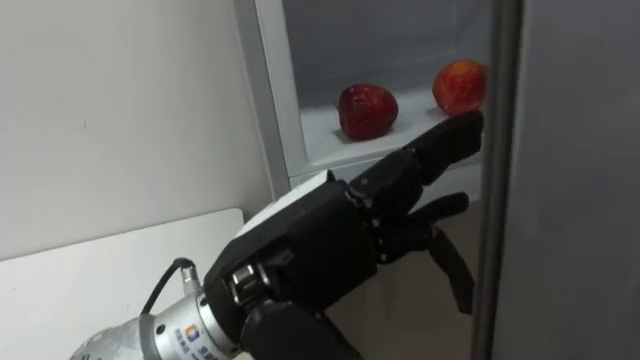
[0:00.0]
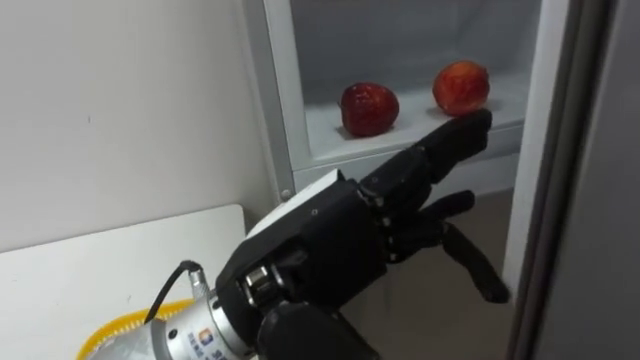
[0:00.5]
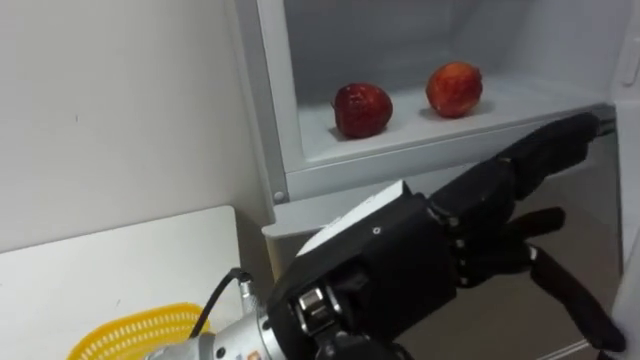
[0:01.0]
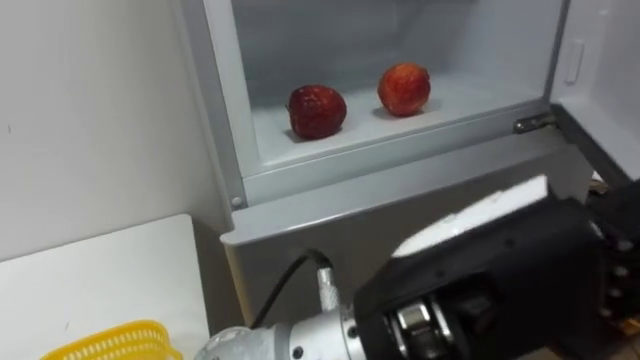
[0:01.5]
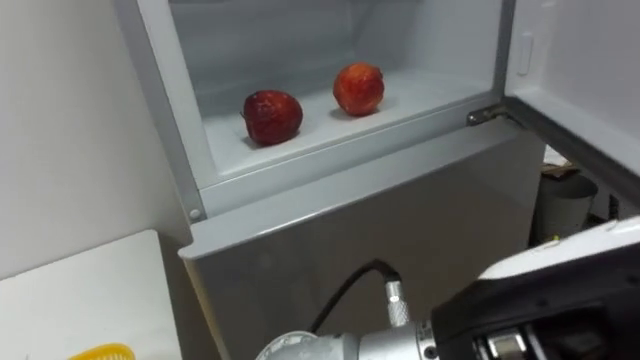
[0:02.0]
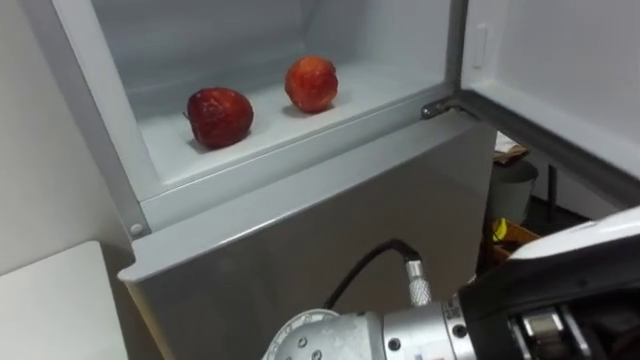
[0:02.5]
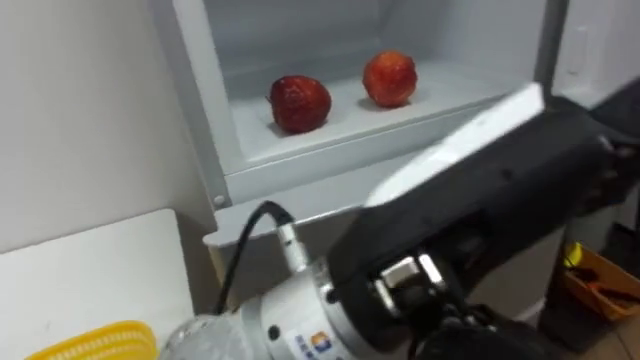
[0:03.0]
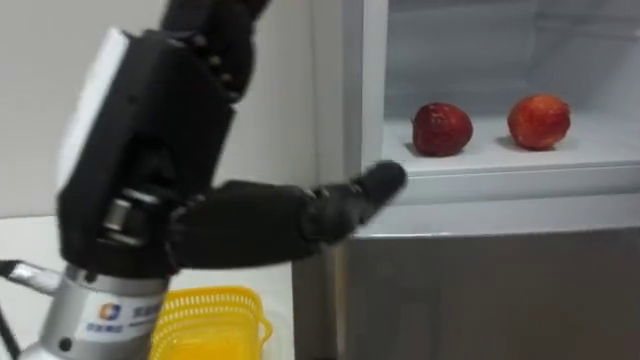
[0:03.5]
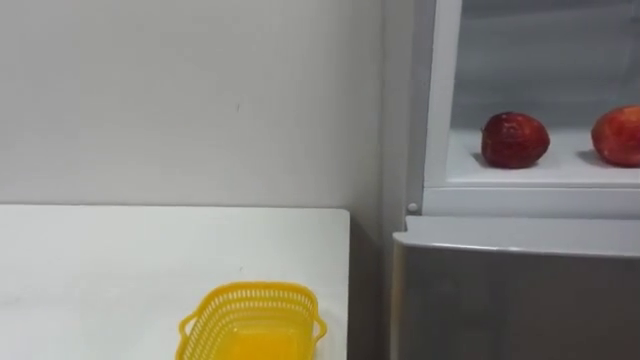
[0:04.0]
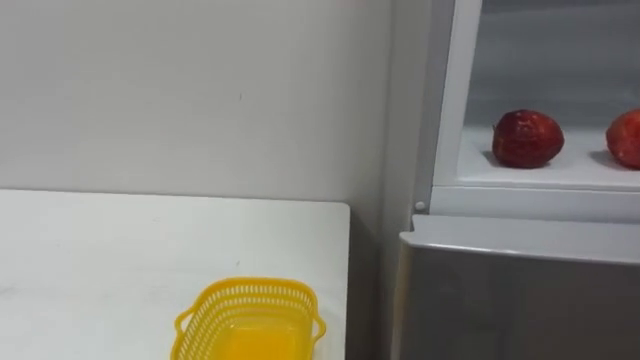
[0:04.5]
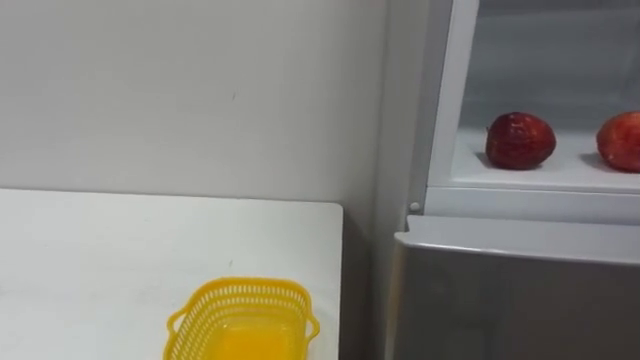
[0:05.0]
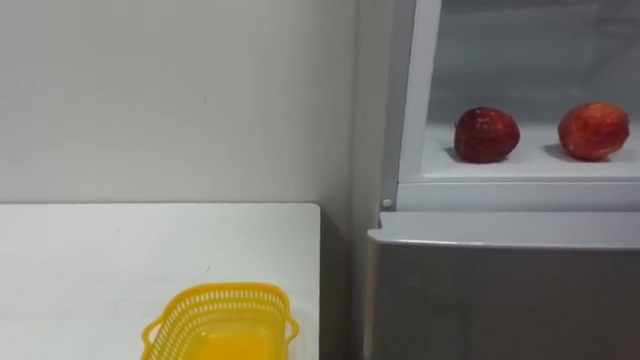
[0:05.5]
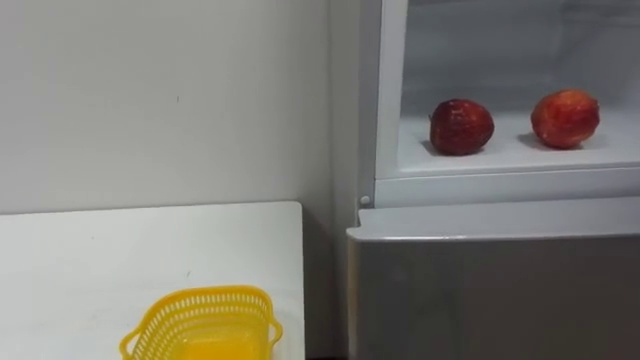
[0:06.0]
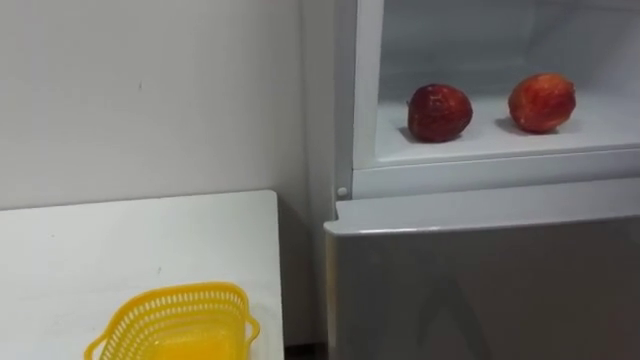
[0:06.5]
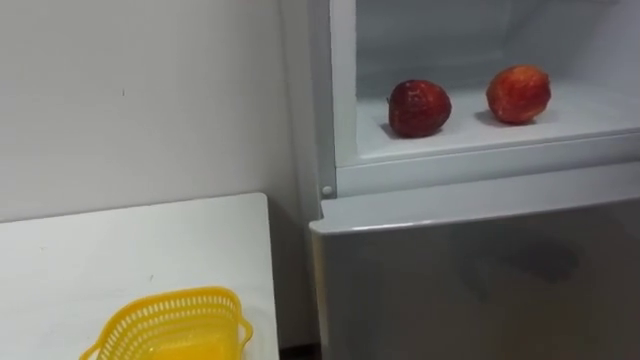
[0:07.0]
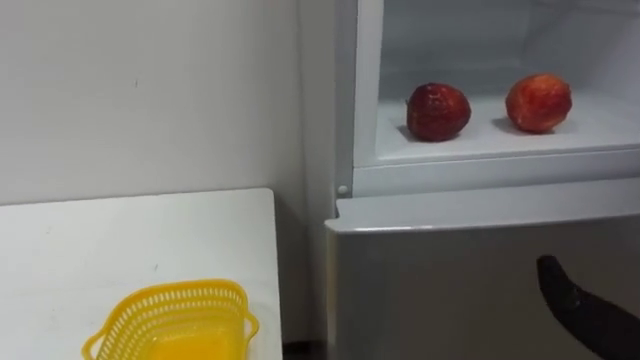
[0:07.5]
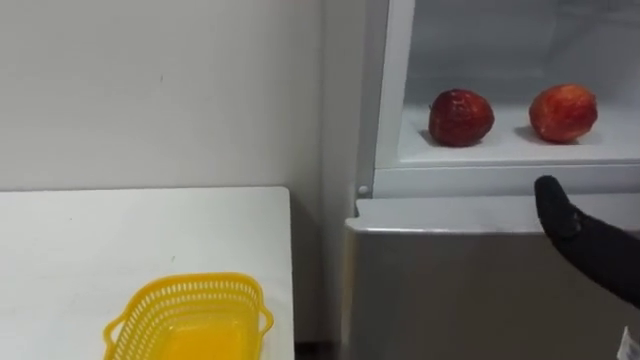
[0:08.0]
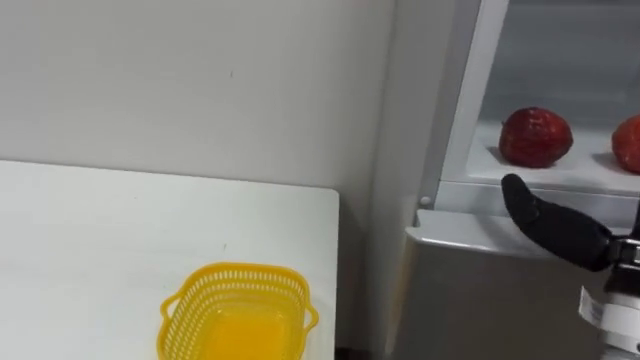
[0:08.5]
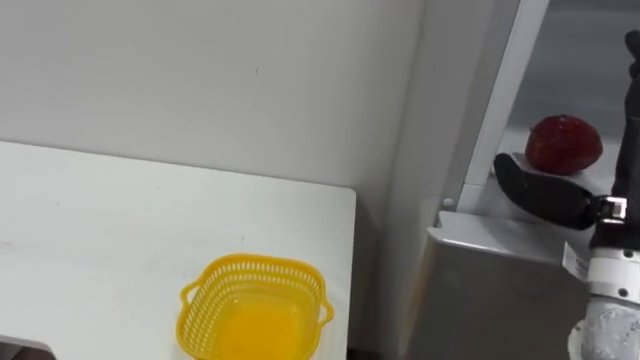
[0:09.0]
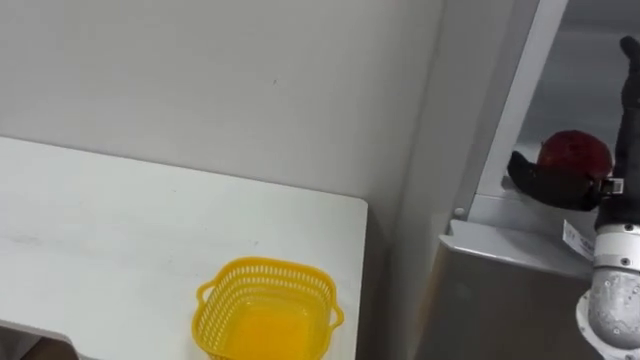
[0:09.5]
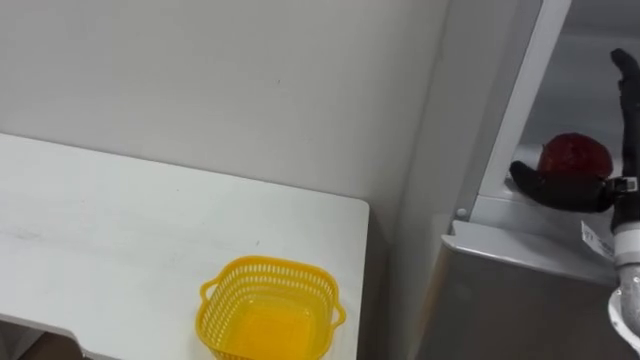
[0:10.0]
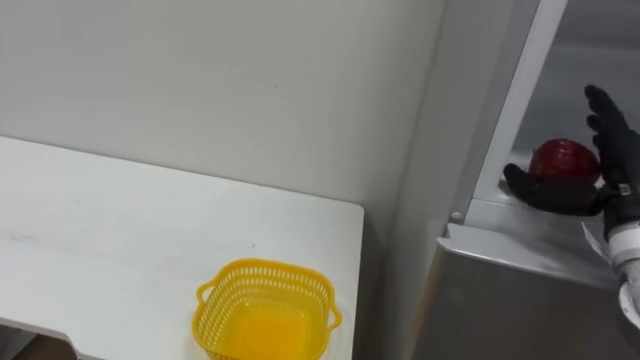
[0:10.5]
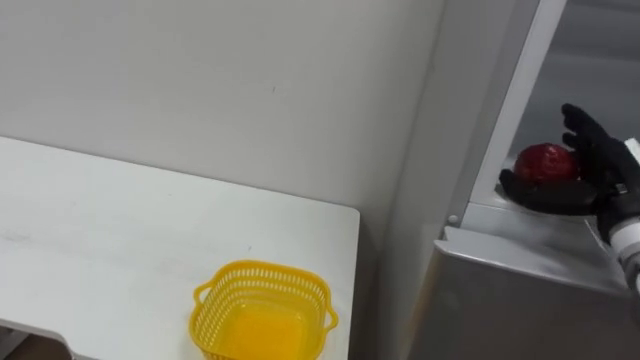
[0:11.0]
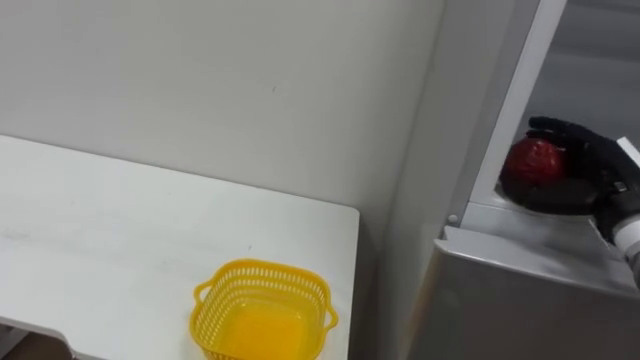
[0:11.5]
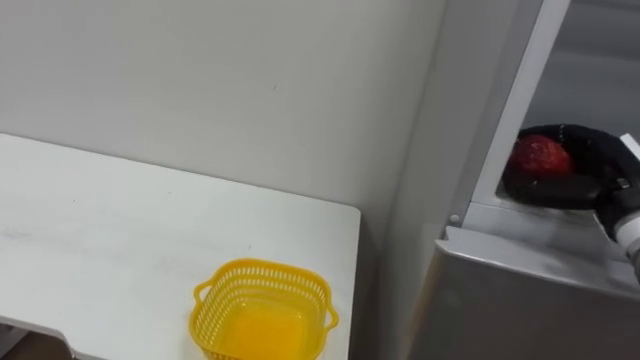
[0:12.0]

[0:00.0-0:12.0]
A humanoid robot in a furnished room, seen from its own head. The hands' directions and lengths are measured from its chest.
Task of the whole recording: Open the refrigerator door, take out the apple and the pomegranate, place them in the fruit basket on the left, and close the refrigerator door.
0:00.0 to 0:02.0: The left hand shifts approximately 15 cm to the right and backward.
0:10.0 to 0:12.0: The right hand shifts by approximately 5 cm, and closes.

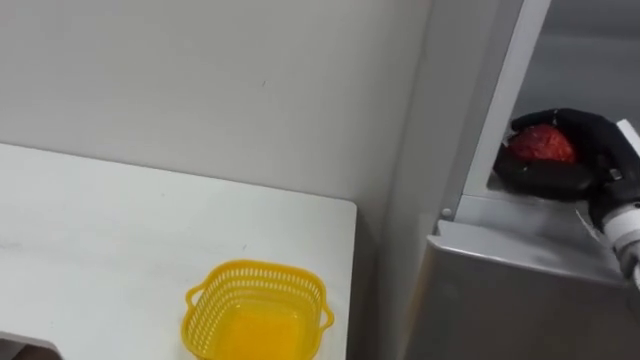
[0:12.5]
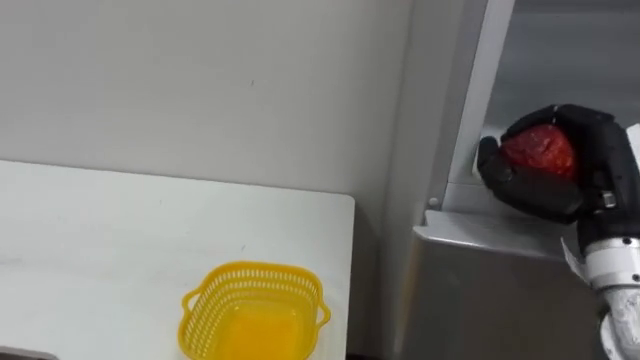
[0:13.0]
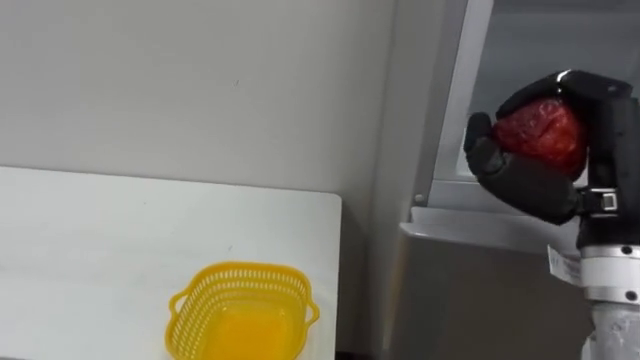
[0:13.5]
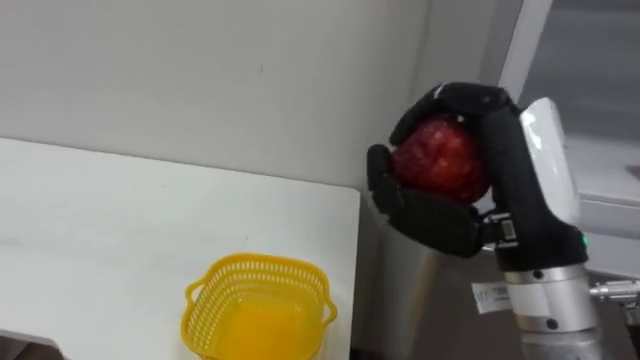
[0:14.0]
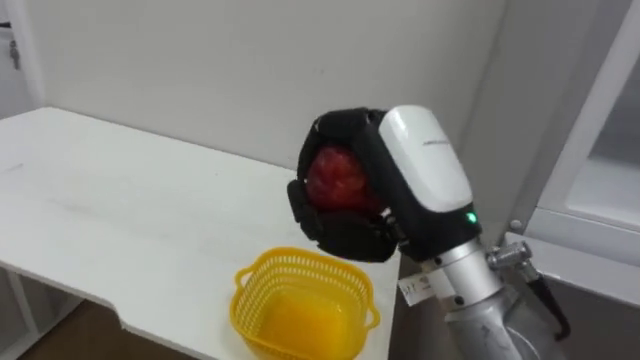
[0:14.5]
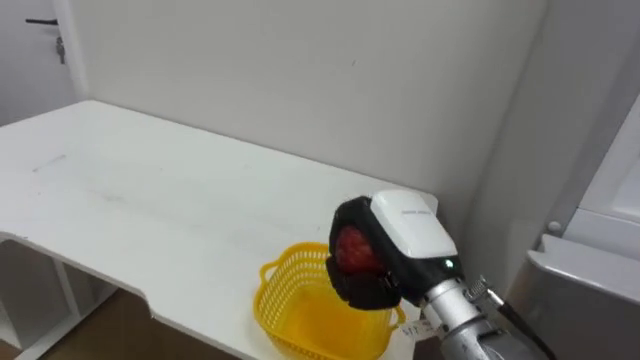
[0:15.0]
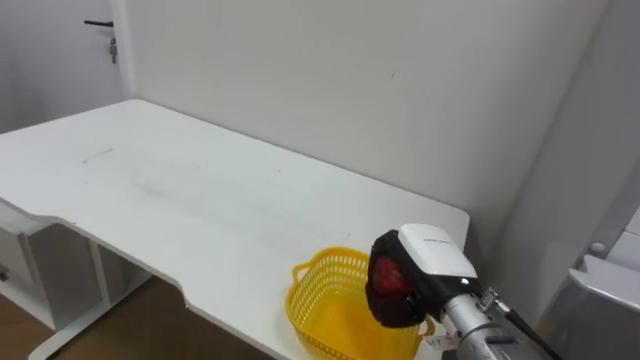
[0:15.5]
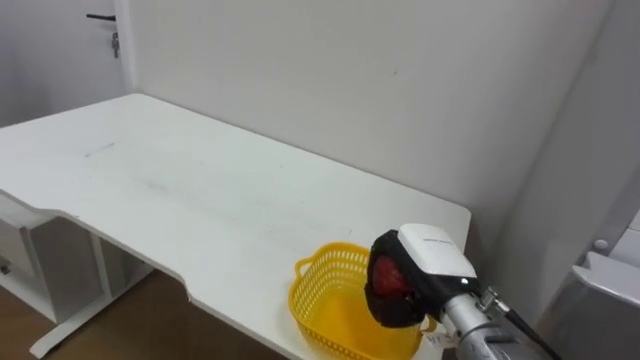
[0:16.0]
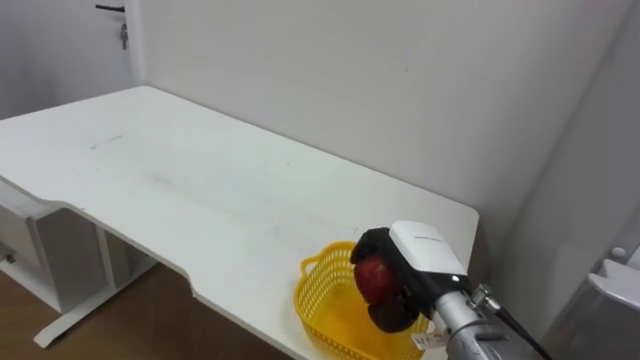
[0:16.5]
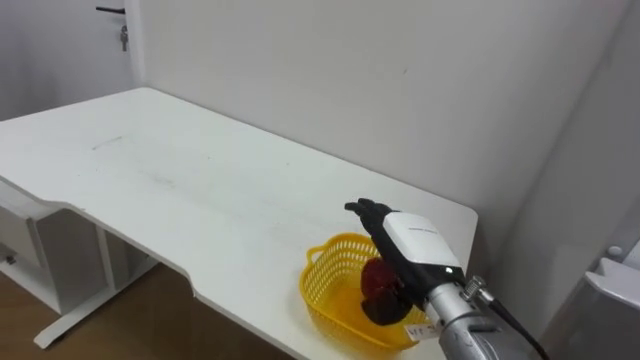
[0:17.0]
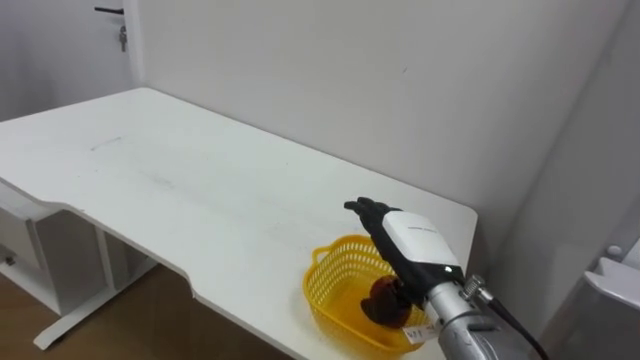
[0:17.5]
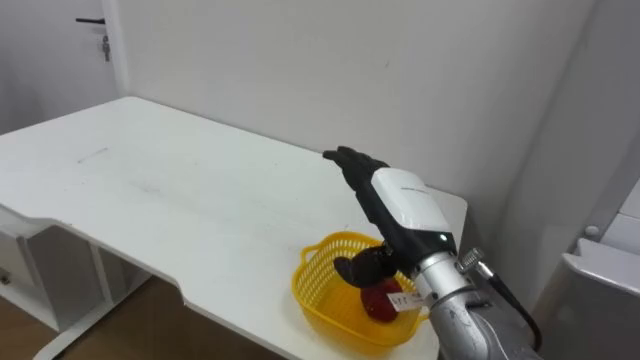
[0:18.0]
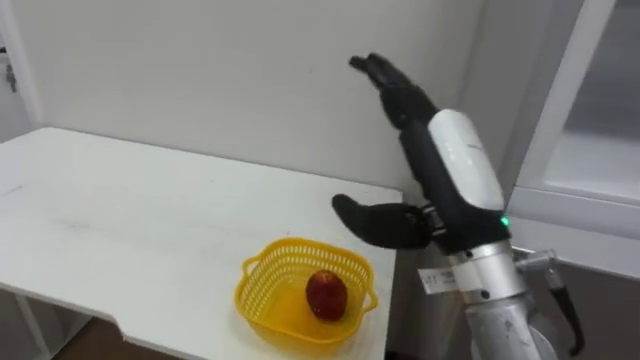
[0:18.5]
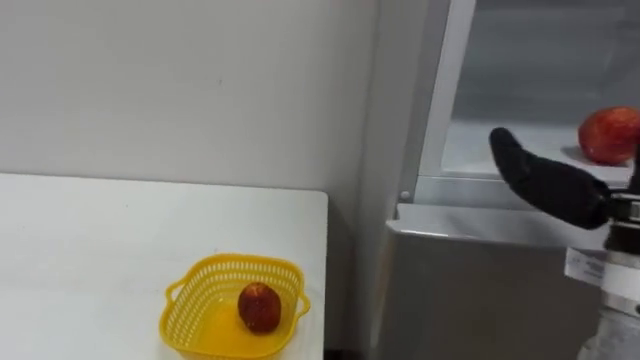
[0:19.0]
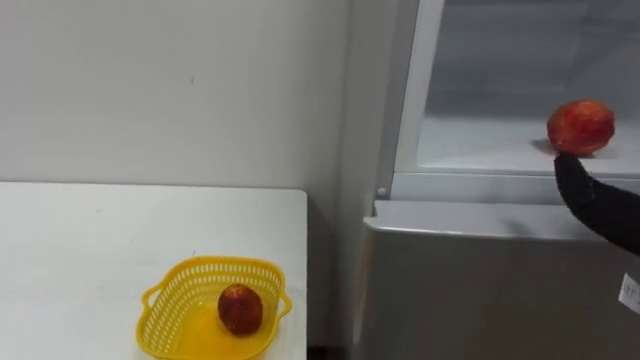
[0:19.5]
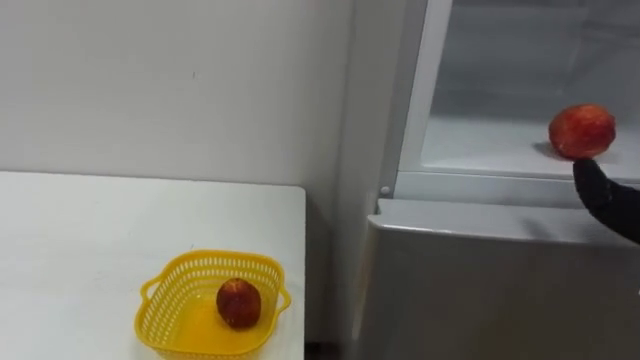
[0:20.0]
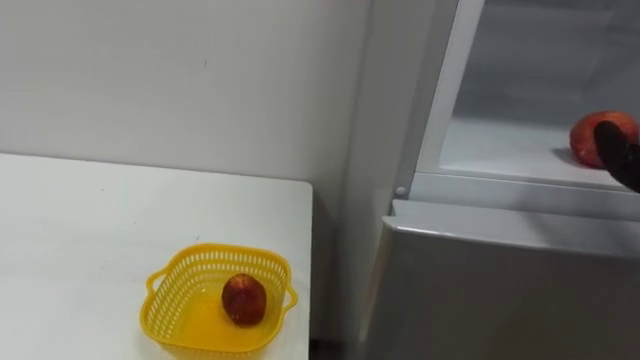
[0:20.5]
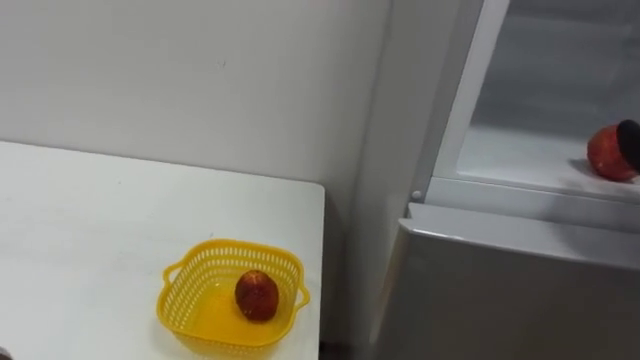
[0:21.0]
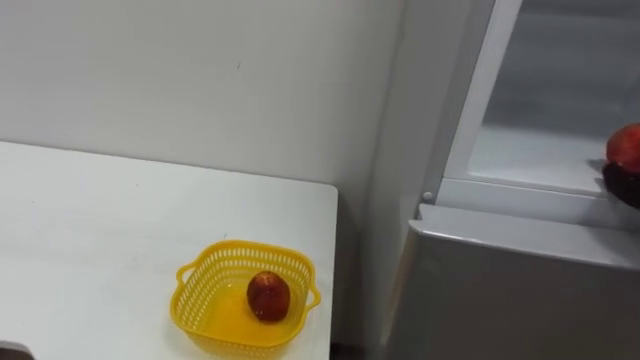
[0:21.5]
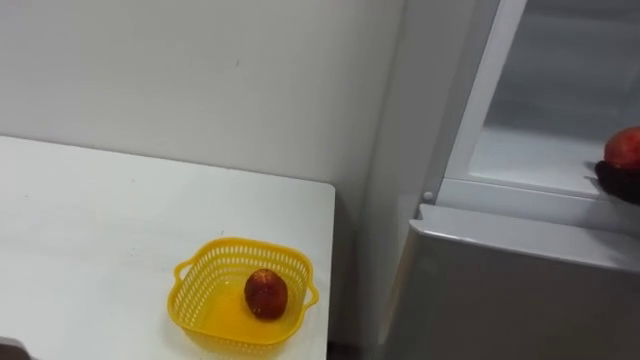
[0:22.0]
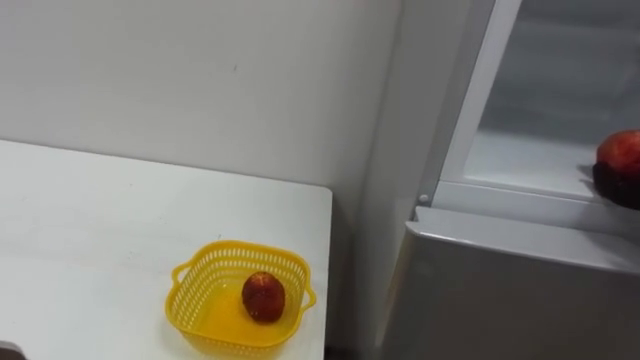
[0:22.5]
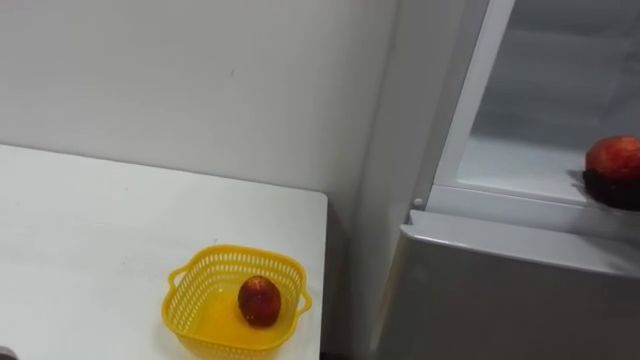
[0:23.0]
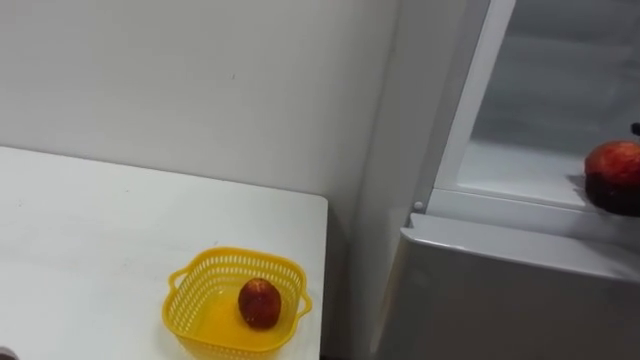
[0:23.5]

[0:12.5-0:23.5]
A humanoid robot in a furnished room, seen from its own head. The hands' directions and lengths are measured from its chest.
Task of the whole recording: Open the refrigerator door, take out the apple and the pomegranate, place them in the fruit basket on the left, and close the refrigerator door.
0:12.5 to 0:14.5: The right hand travels to the left and backward by some 25 cm.
0:14.5 to 0:16.0: The right hand shifts some 20 cm downward and forward.
0:16.0 to 0:18.0: The right hand moves upward, some 10 cm, and opens its fingers.
